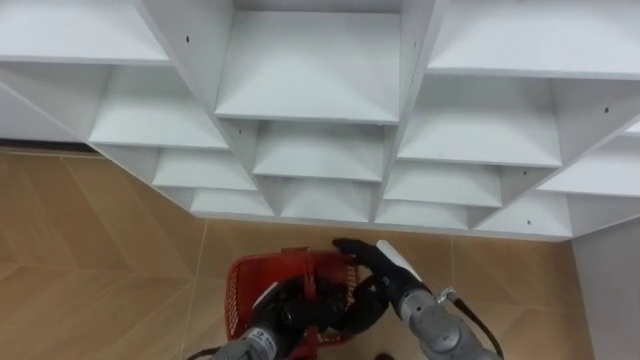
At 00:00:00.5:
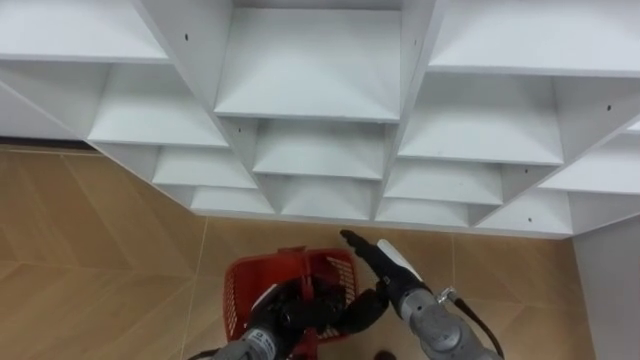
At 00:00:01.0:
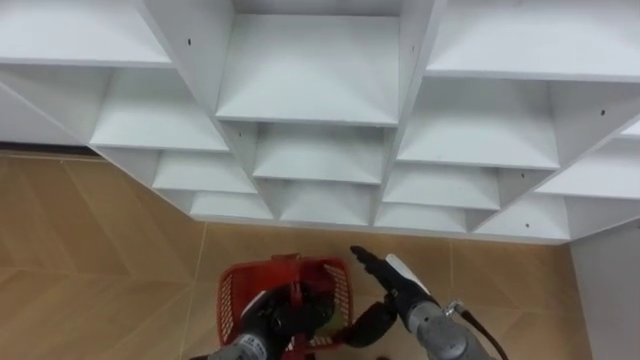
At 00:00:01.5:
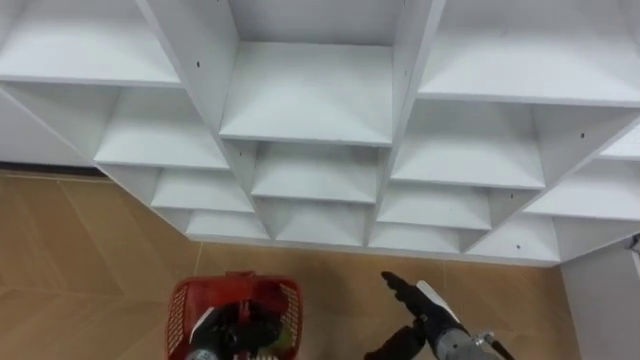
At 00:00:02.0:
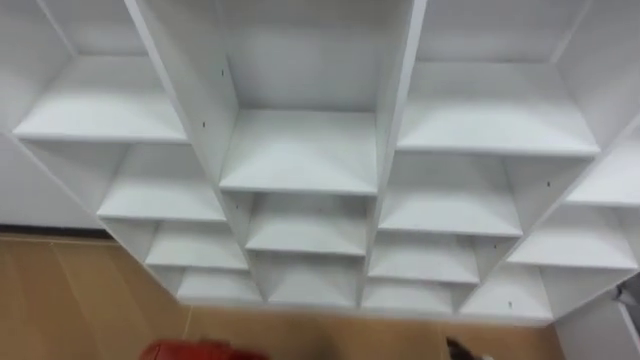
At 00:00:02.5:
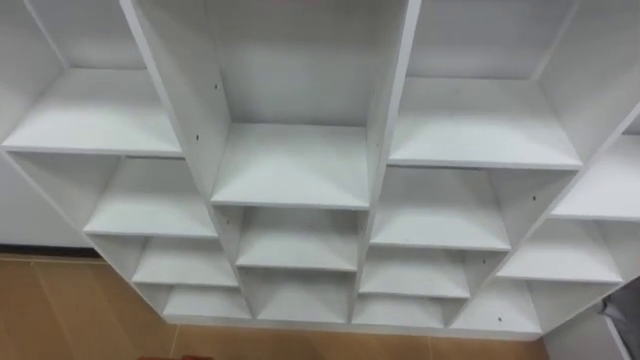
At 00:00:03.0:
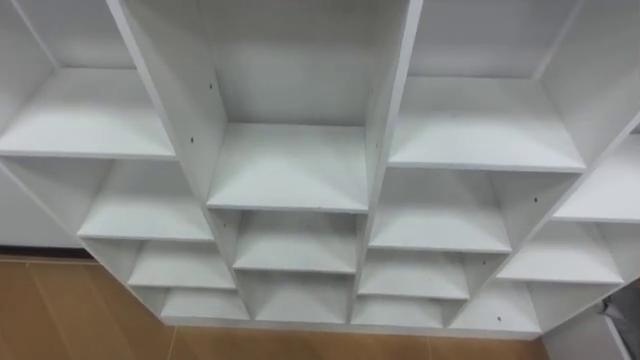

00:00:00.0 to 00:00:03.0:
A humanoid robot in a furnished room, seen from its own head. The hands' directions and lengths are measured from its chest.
Task of the whole recording: Hold the basket and collect the fruits from 3 different cells of the closet into it.
00:00:00.0 to 00:00:01.5: The right hand travels to the right by roughly 5 cm, while the left hand travels to the left by approximately 10 cm.

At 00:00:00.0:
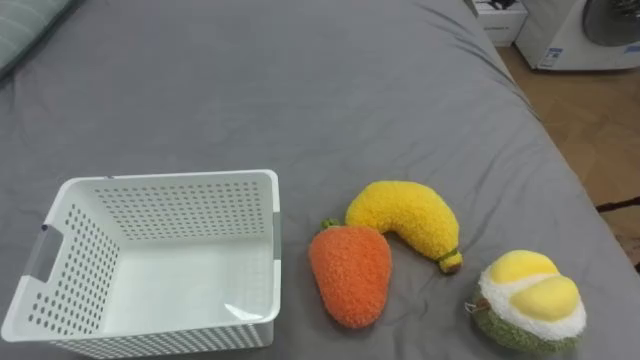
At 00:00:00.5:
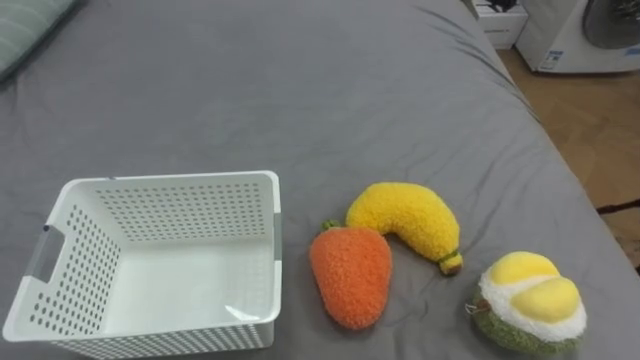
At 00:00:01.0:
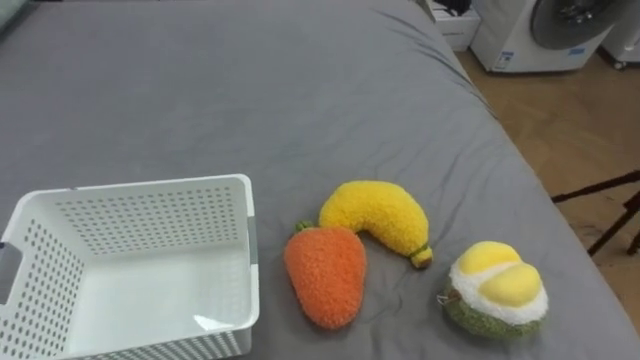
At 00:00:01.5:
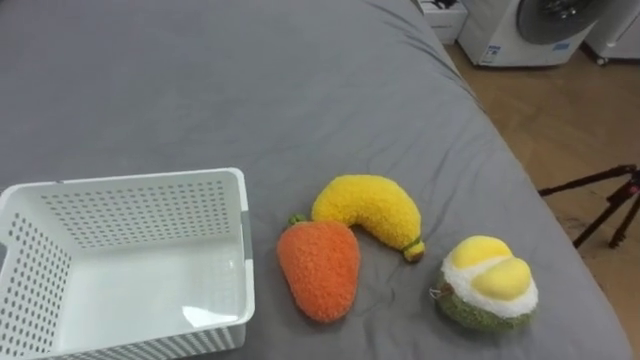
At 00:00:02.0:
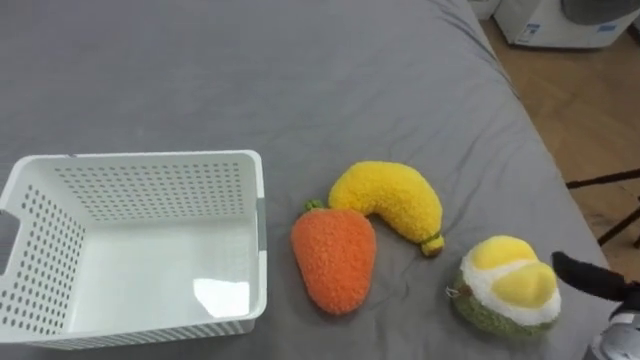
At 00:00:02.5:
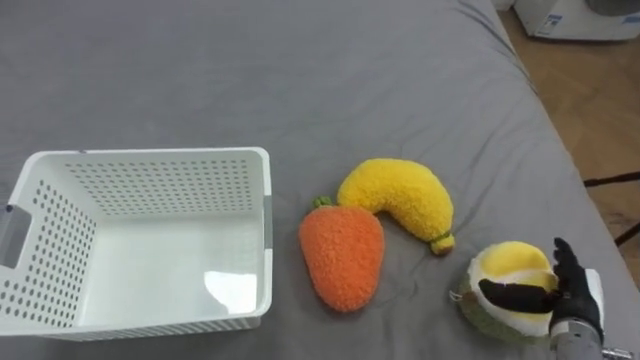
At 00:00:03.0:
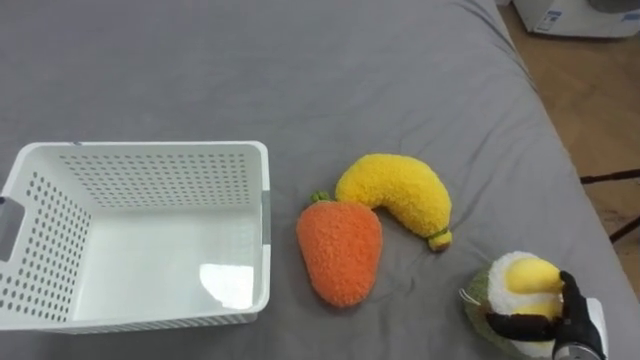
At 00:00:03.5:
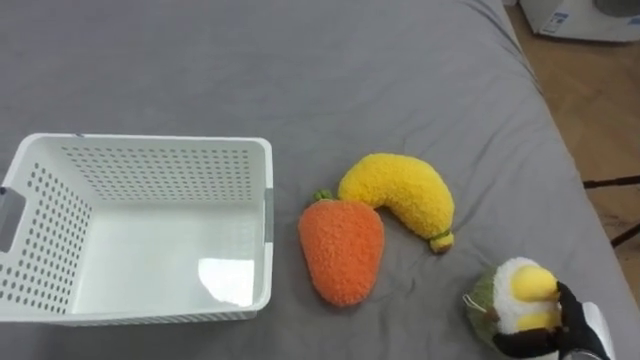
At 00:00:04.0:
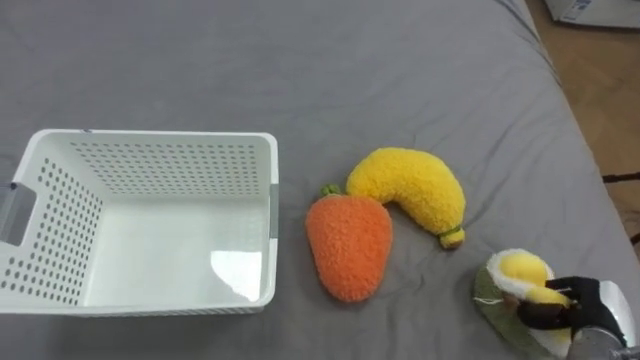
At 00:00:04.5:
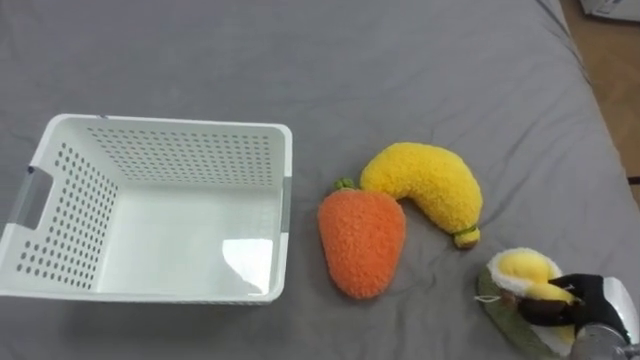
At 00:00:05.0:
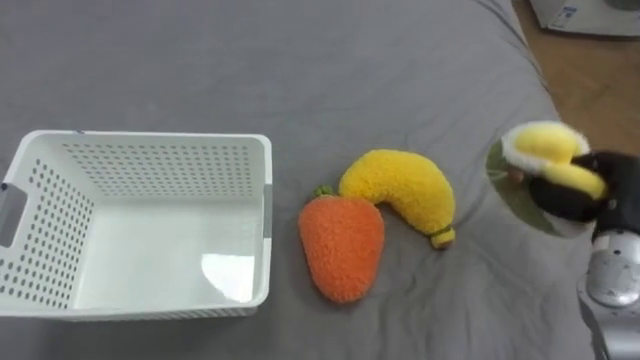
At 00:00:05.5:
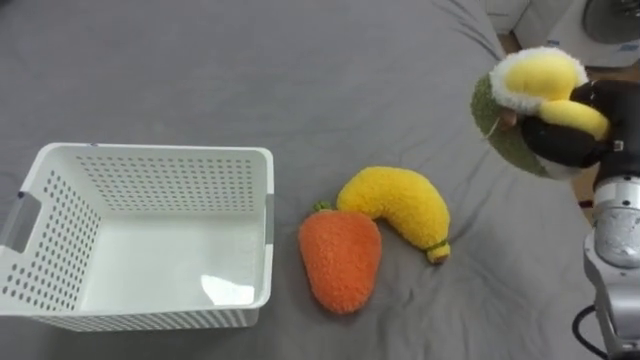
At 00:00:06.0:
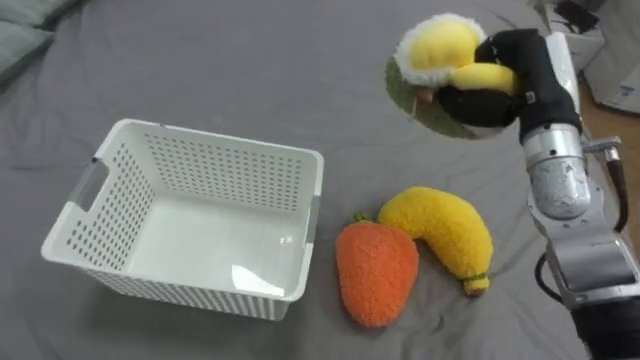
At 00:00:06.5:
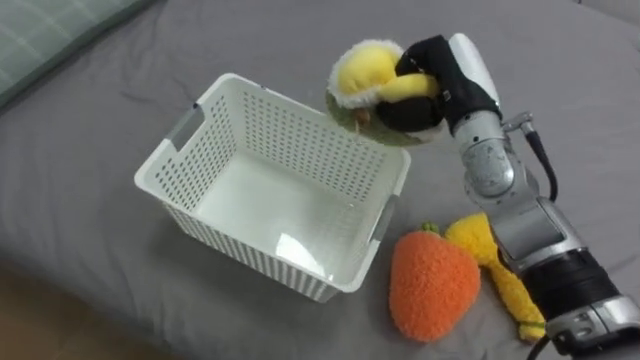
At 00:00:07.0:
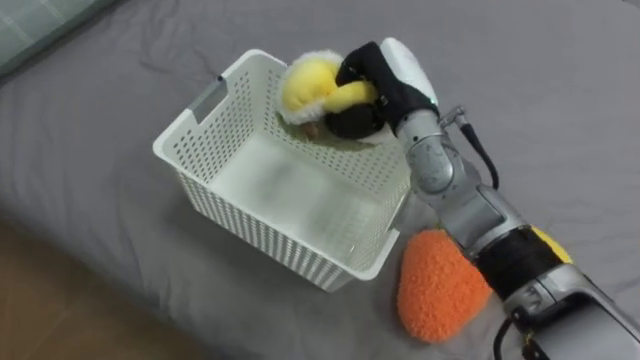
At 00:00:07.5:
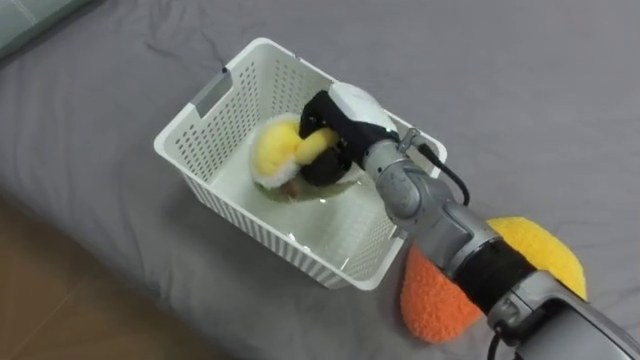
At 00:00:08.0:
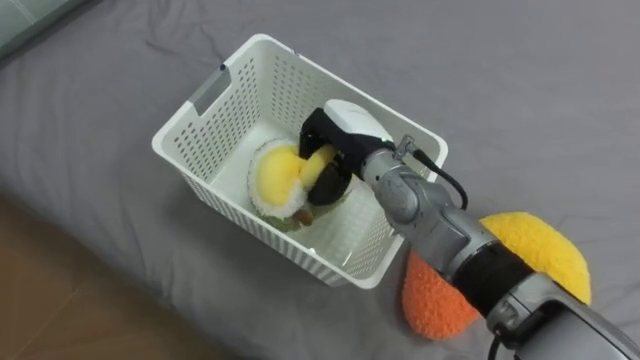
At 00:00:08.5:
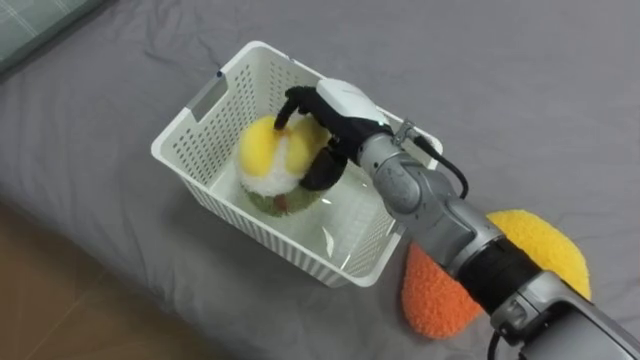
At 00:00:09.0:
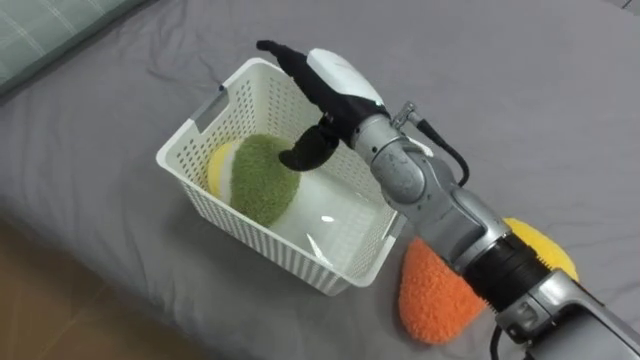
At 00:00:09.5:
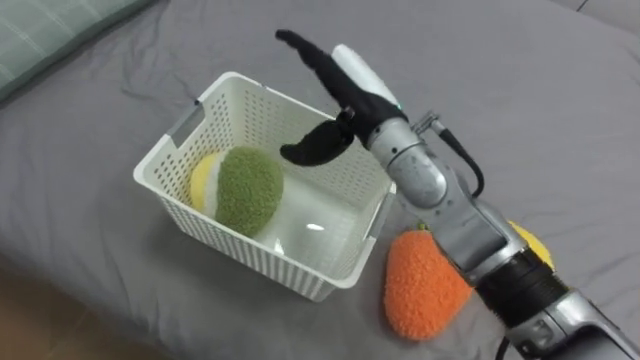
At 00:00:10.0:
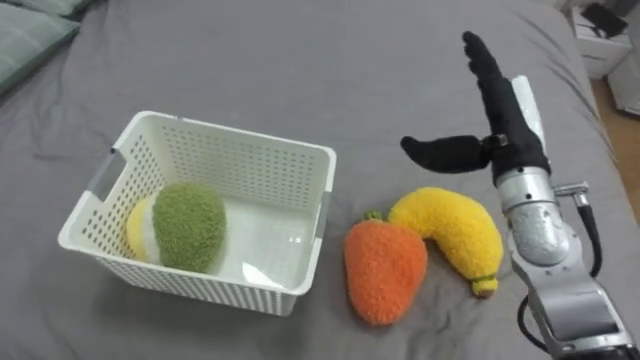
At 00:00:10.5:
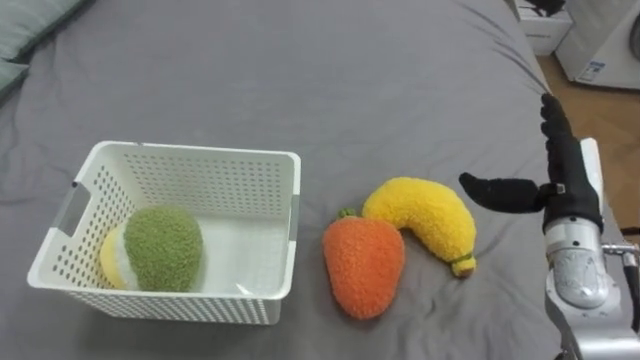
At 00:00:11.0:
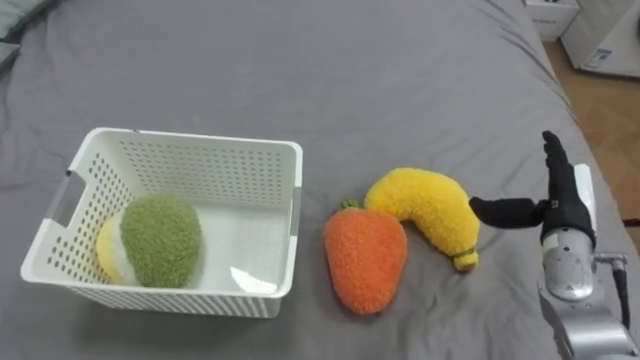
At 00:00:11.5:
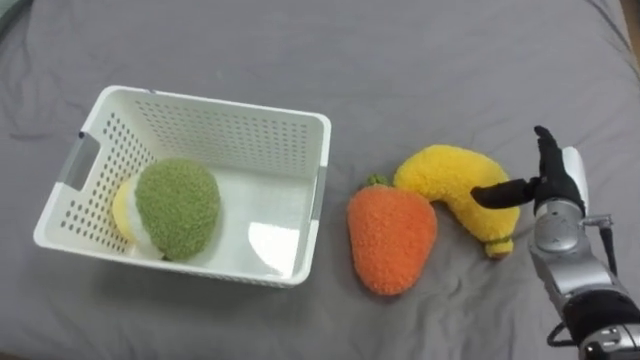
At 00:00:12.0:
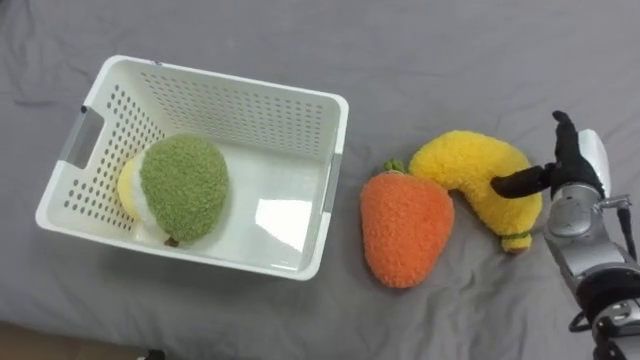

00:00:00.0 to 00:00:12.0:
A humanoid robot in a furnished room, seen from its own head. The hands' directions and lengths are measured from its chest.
Task of the whole recording: Put the toys on the bed into the basket on the left.
00:00:04.0 to 00:00:06.0: The right hand goes approximately 35 cm upward, forward and to the left.
00:00:06.0 to 00:00:08.0: The right hand heads to the left and downward, covering about 20 cm.
00:00:08.0 to 00:00:10.0: The right hand is displaced to the right by some 20 cm, and opens its fingers.
00:00:10.0 to 00:00:12.0: The right hand is displaced to the right and downward by about 15 cm.

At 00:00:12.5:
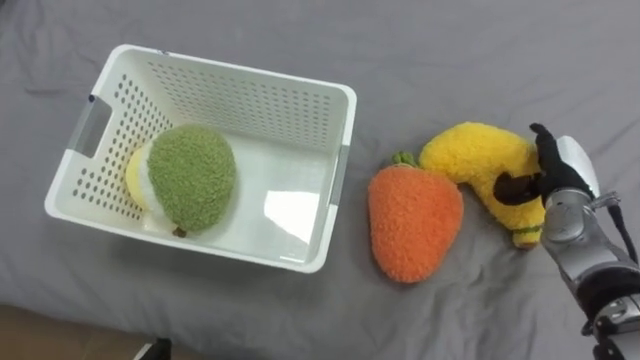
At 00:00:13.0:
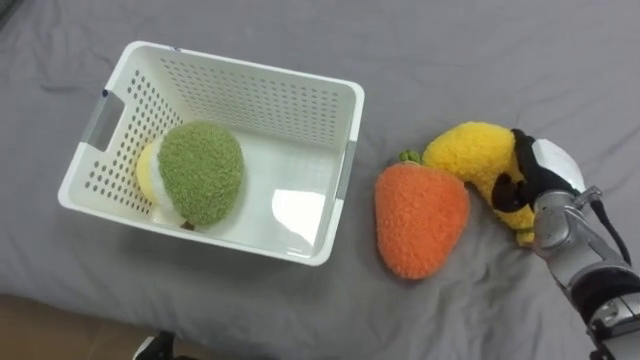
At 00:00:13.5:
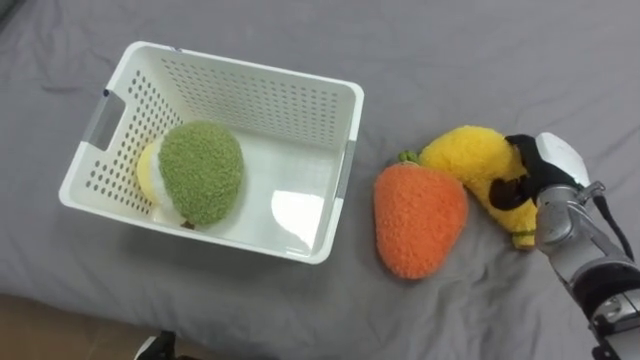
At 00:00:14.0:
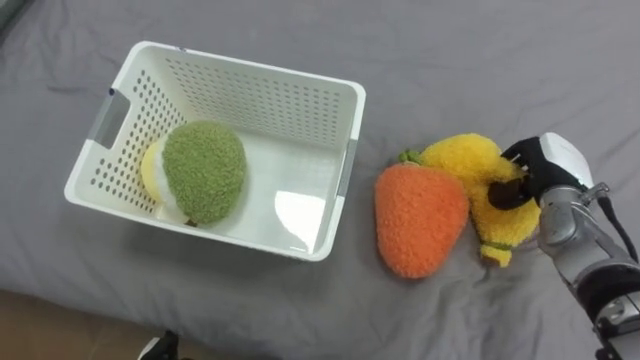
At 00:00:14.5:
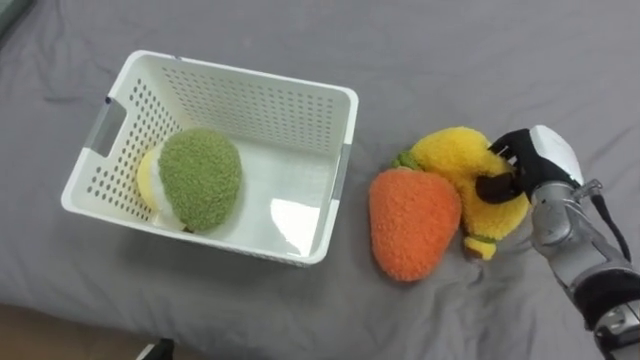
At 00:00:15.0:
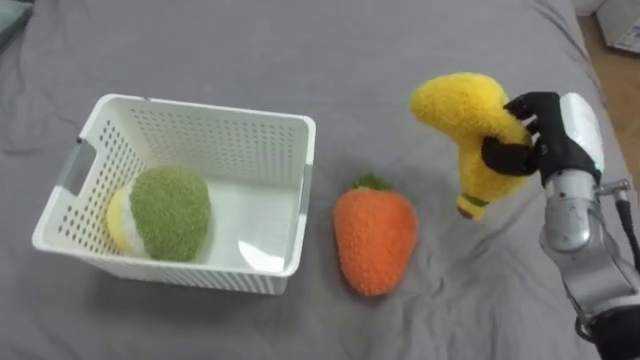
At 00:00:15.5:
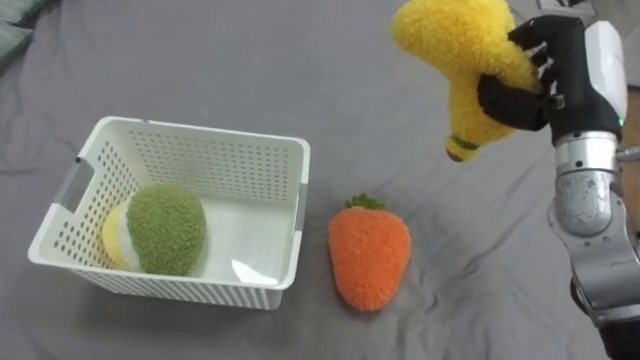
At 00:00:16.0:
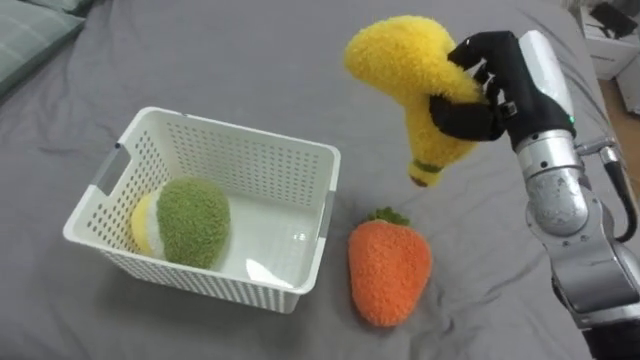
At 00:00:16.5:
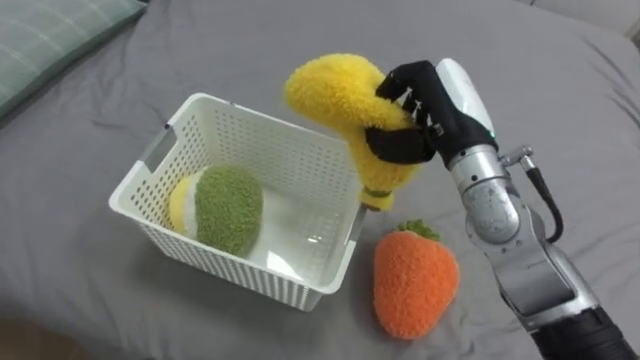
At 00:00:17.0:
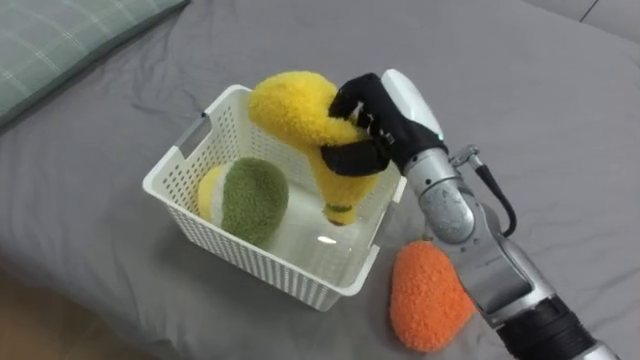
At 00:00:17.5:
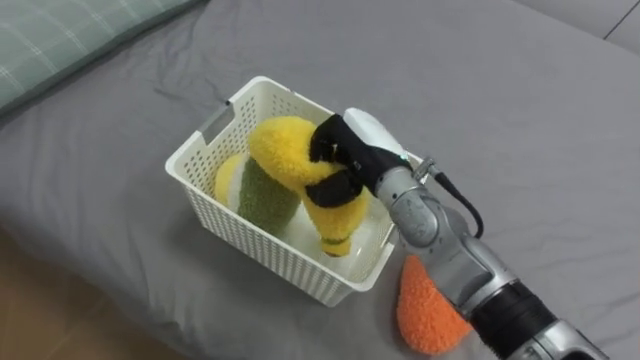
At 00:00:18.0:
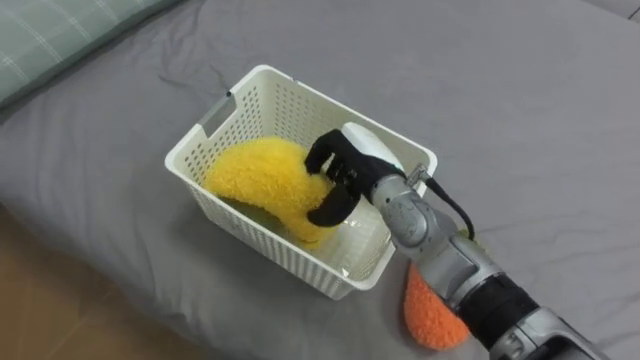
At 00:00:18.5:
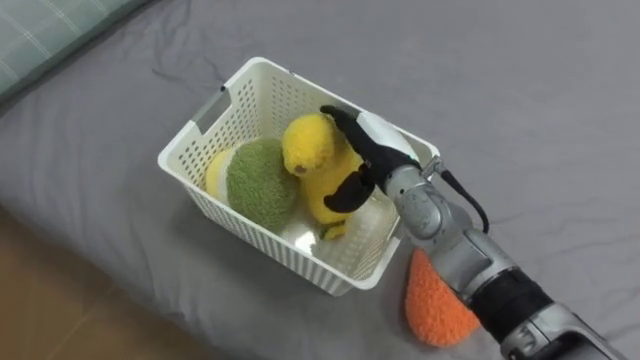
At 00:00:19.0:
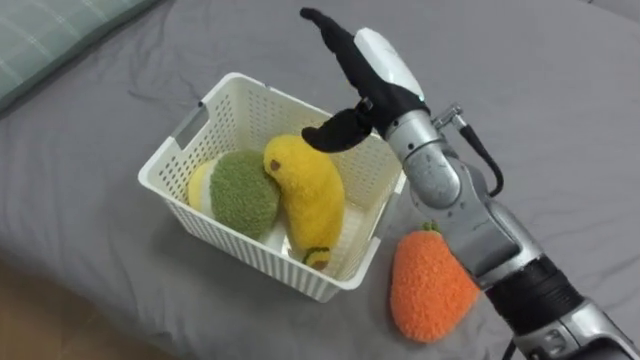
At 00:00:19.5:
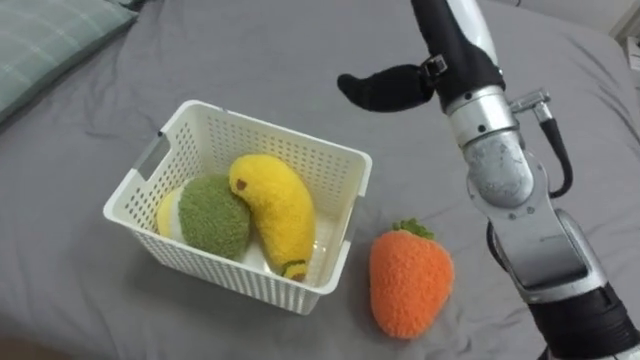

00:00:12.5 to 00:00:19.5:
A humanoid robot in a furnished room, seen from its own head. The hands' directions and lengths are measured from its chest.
Task of the whole recording: Put the toys on the bed into the basket on the left.
00:00:12.5 to 00:00:14.5: The right hand closes.
00:00:14.5 to 00:00:16.0: The right hand moves upward and to the left, about 15 cm.
00:00:16.0 to 00:00:17.5: The right hand travels to the left and downward by some 20 cm.
00:00:17.5 to 00:00:19.5: The right hand heads upward and to the right, covering approximately 15 cm, and opens up.
